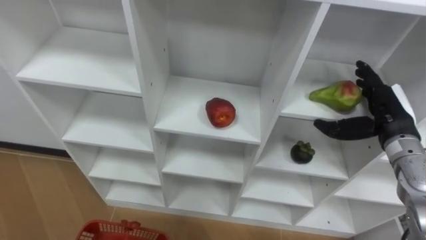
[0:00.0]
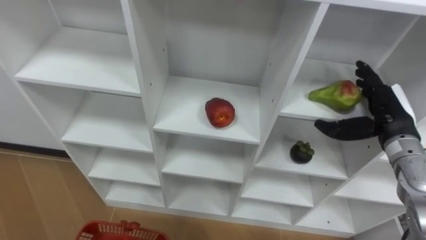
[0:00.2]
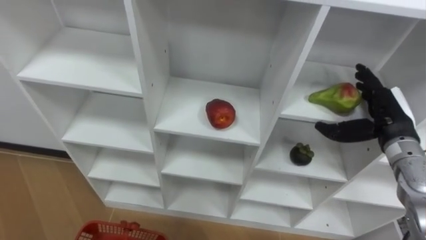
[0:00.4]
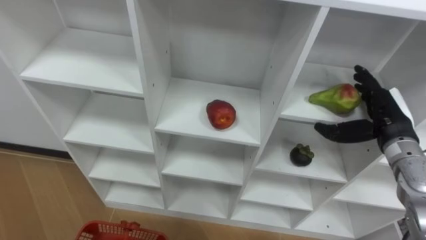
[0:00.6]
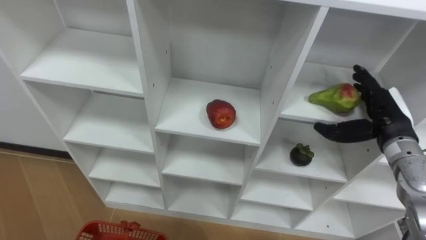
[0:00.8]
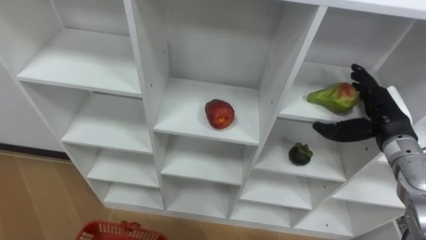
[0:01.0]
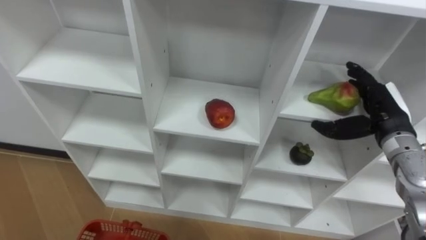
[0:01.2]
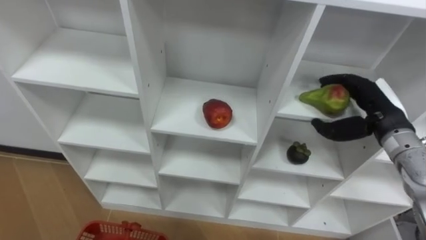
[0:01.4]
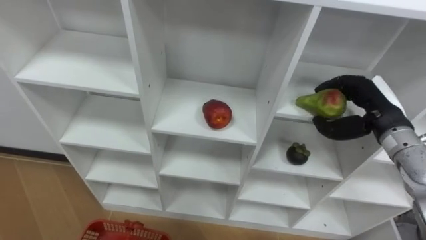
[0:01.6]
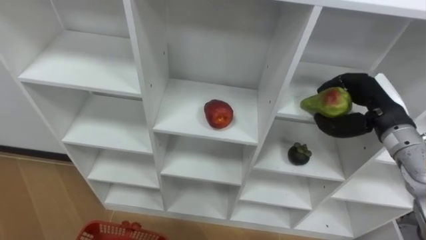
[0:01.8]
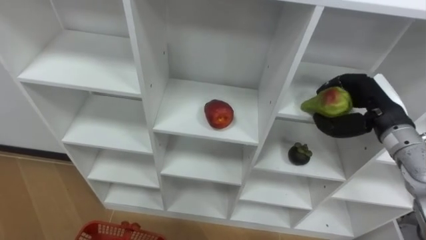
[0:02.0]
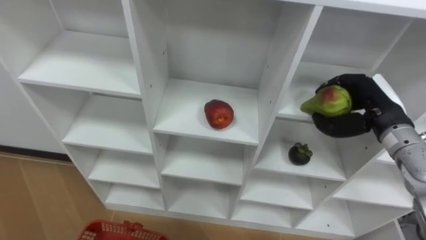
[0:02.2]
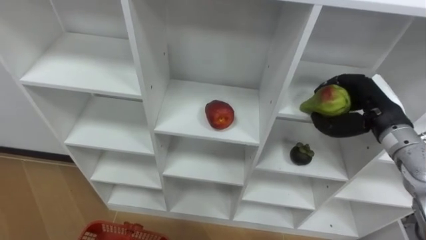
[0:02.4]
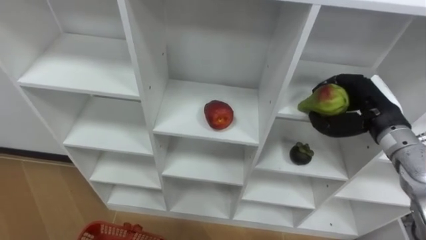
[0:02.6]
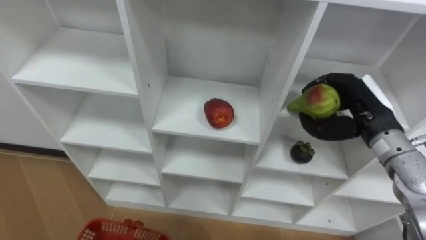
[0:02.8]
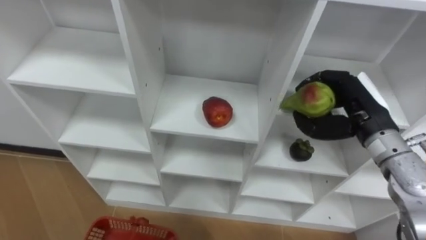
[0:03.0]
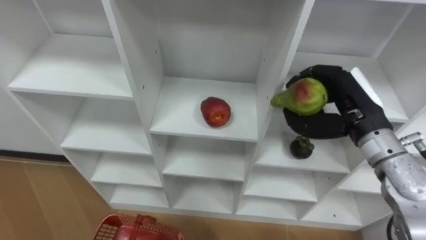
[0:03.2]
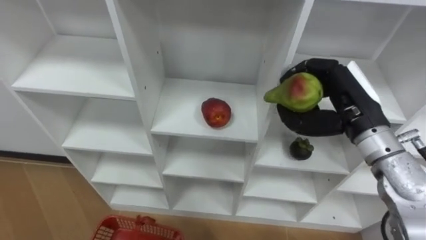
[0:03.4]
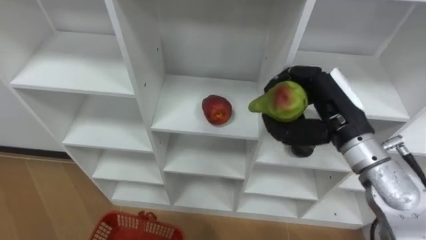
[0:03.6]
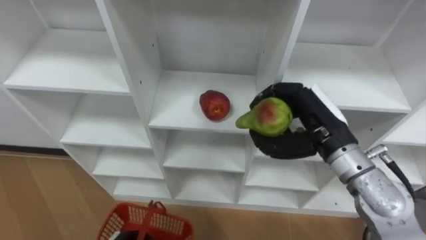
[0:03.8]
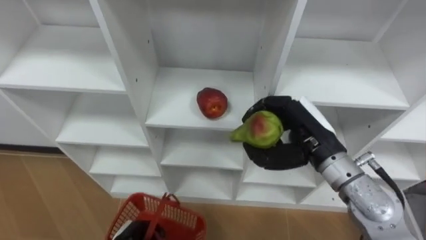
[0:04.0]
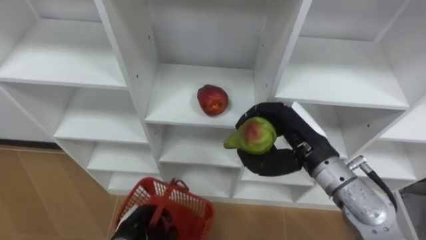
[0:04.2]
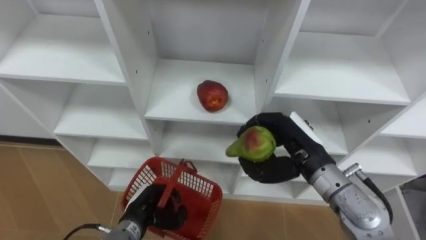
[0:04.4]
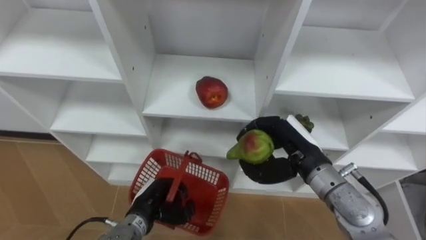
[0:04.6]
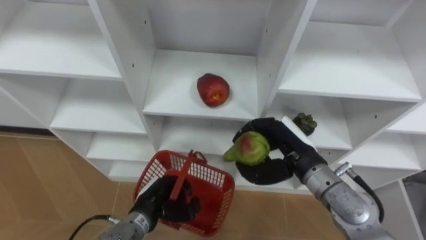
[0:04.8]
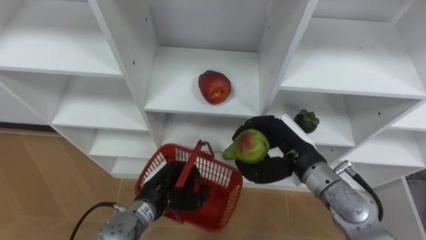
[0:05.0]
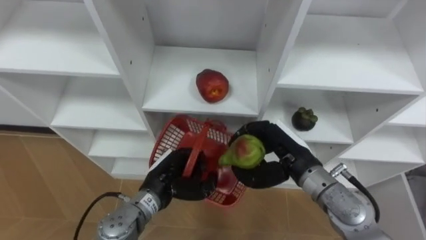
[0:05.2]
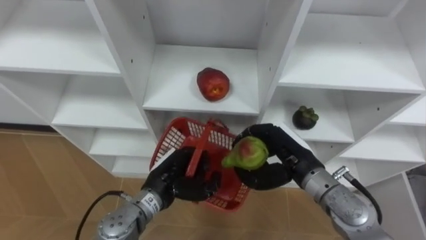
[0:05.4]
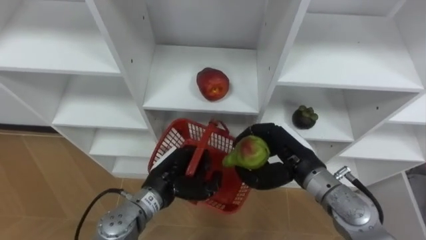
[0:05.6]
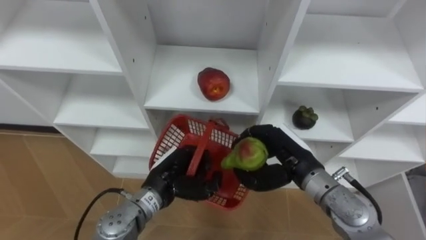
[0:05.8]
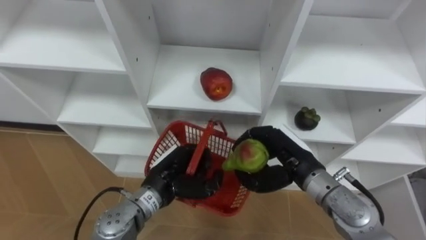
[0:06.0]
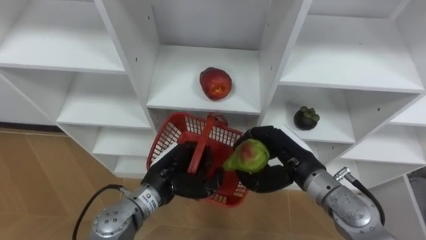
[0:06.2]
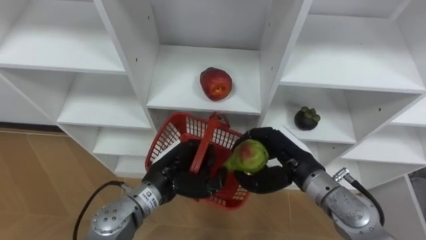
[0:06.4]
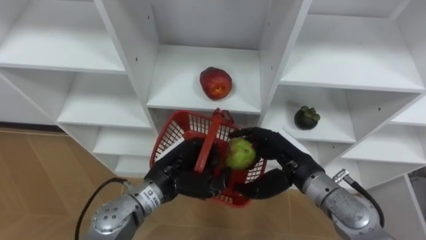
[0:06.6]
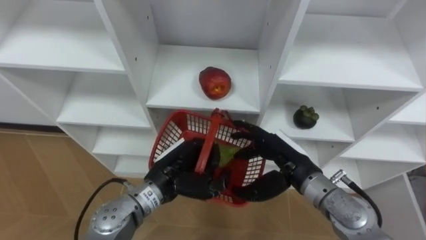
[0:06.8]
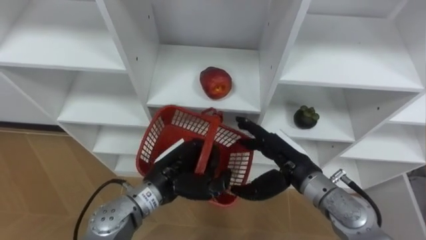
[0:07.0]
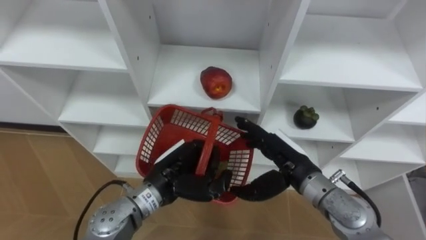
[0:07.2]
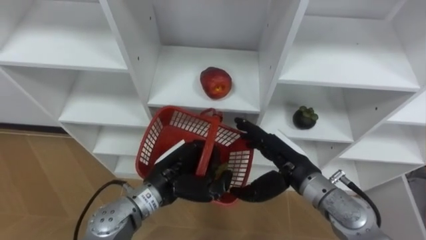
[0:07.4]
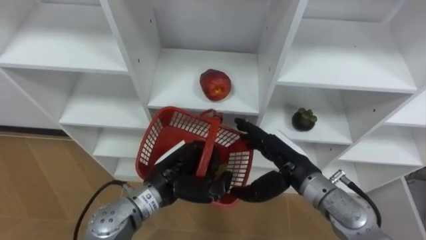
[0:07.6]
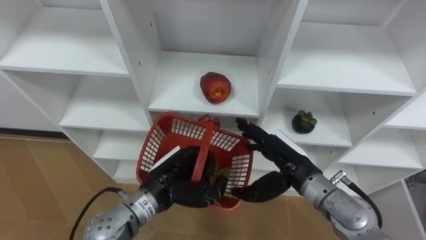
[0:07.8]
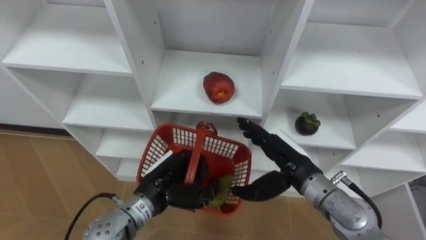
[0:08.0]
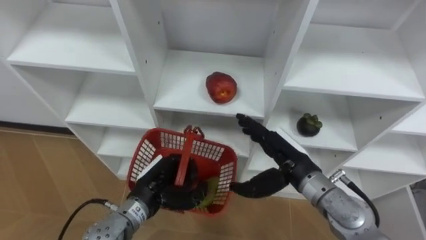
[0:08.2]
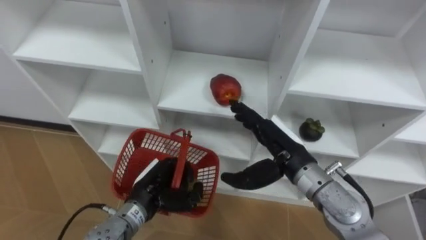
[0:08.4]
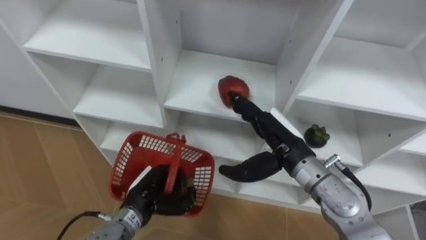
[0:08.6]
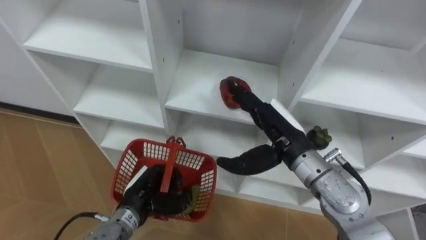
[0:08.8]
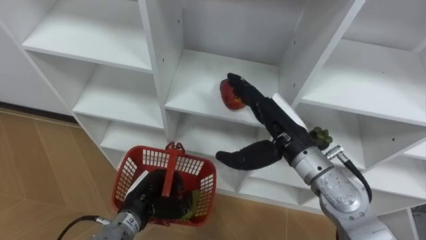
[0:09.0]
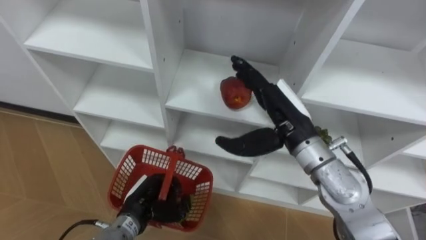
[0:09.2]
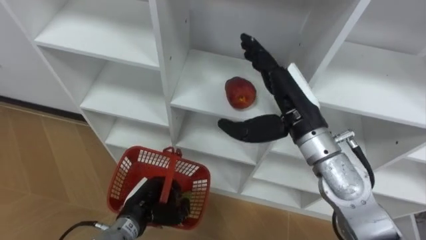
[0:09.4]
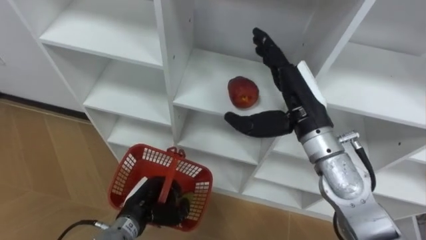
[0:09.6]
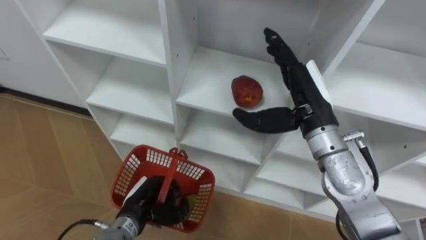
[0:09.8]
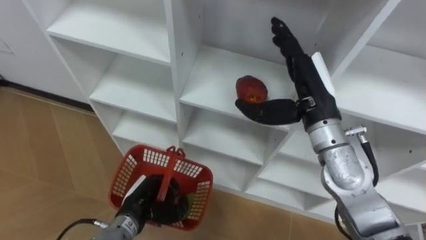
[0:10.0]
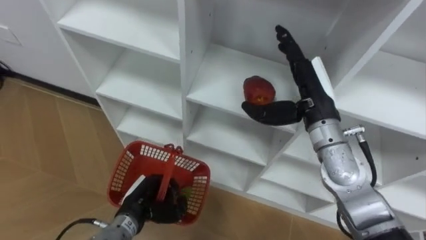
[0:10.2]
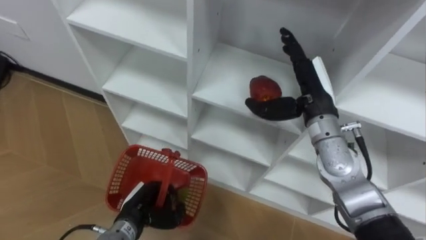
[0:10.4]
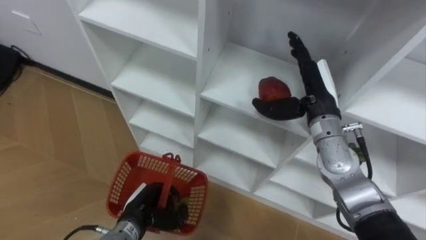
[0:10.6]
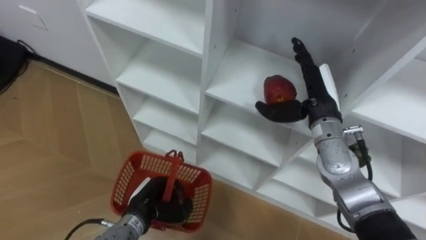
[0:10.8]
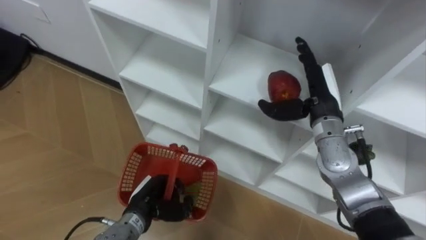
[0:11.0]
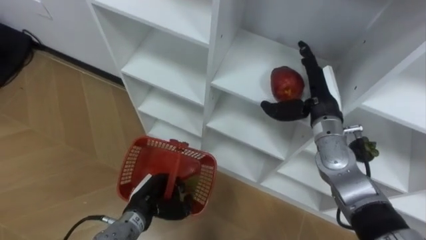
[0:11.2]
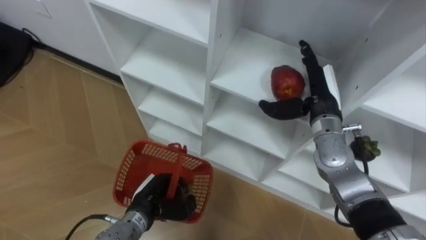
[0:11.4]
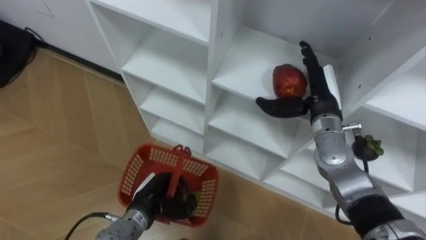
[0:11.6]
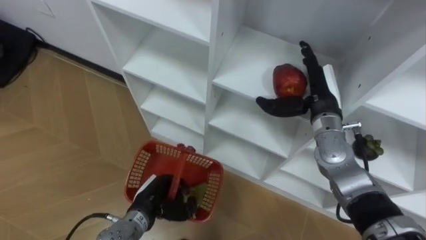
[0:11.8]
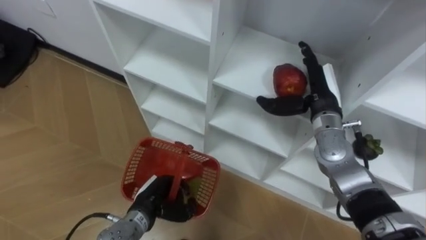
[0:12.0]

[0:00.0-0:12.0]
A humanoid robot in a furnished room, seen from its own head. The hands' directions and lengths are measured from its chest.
Task of the whole recording: Hold the basket and collect the fruits from 3 different cells of the closet into it.
0:00.0 to 0:01.6: The right hand closes its fingers.
0:01.6 to 0:03.0: The right hand changes place by some 5 cm.
0:03.0 to 0:04.4: The right hand heads to the left, covering approximately 10 cm.
0:04.4 to 0:06.0: The left hand shifts roughly 10 cm upward and to the right.
0:06.0 to 0:07.6: The right hand opens its fingers.
0:07.6 to 0:09.0: The right hand shifts about 5 cm upward. The left hand shifts approximately 10 cm downward and to the left.
0:09.0 to 0:10.4: The right hand moves forward and to the right, roughly 10 cm.
0:10.4 to 0:12.0: The right hand shifts by roughly 5 cm.

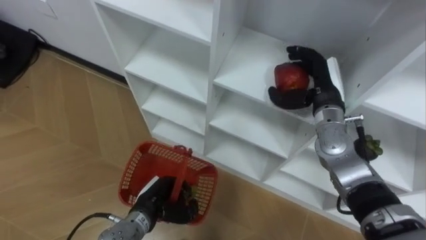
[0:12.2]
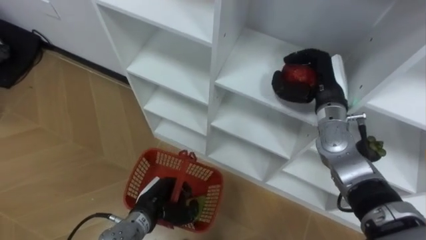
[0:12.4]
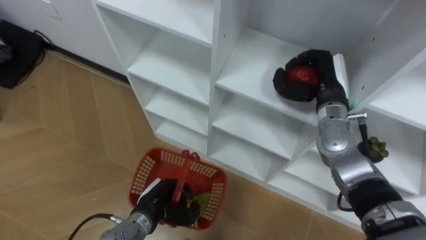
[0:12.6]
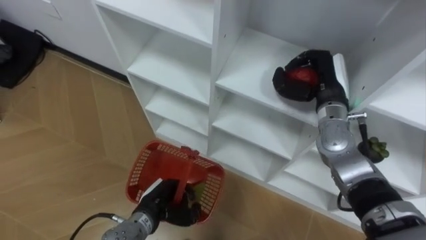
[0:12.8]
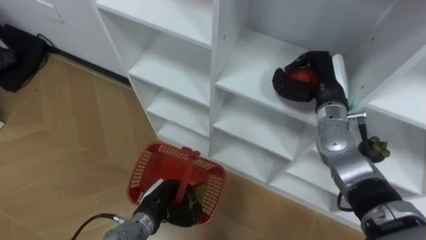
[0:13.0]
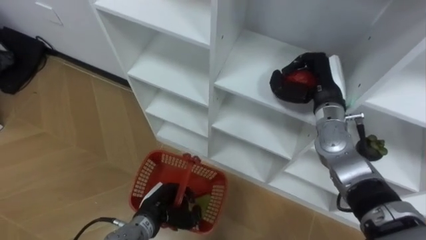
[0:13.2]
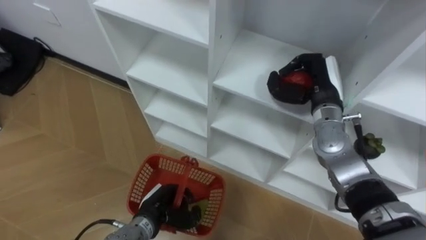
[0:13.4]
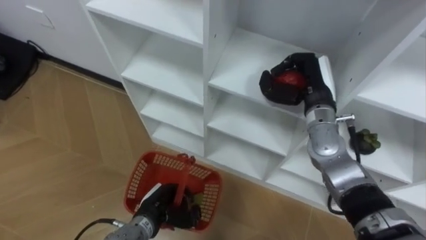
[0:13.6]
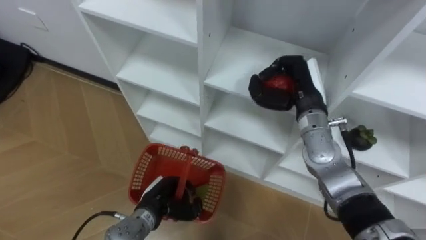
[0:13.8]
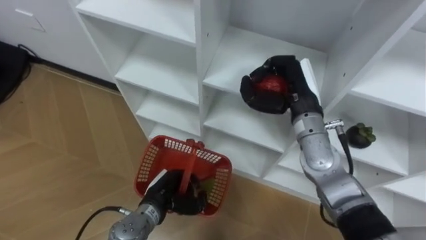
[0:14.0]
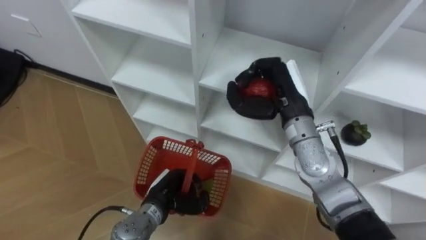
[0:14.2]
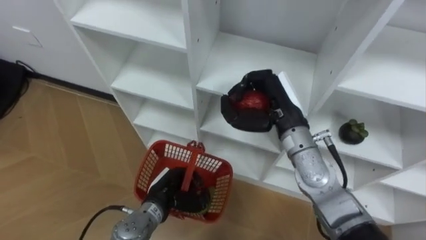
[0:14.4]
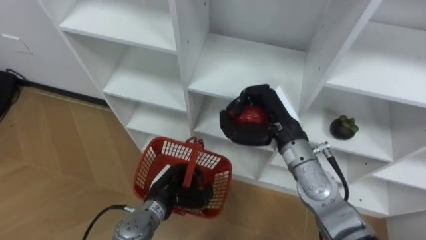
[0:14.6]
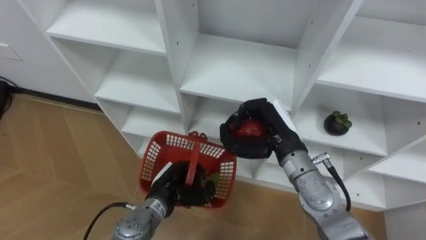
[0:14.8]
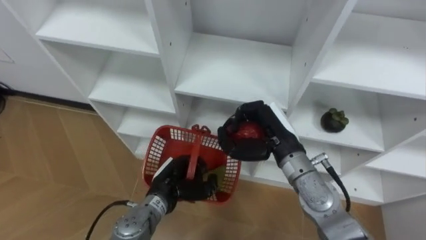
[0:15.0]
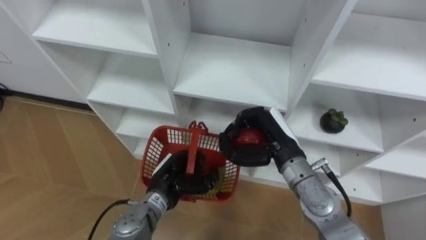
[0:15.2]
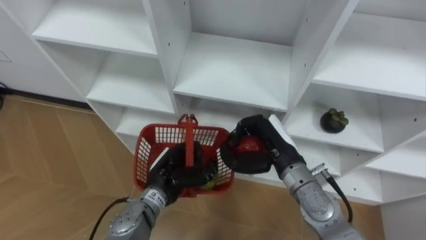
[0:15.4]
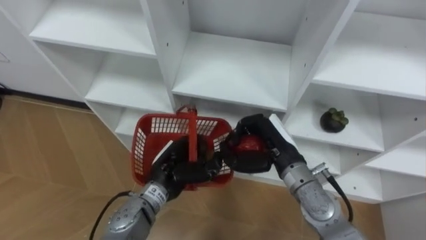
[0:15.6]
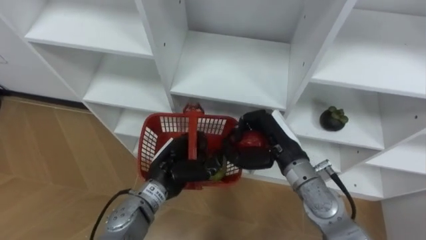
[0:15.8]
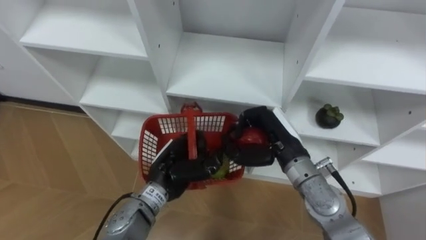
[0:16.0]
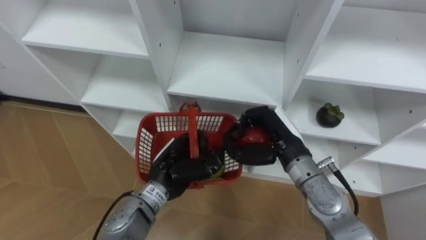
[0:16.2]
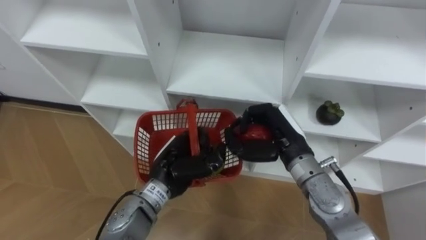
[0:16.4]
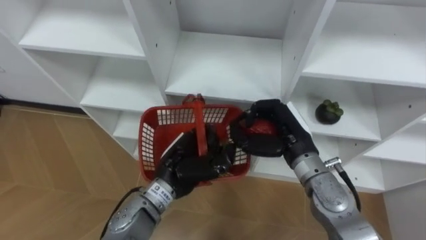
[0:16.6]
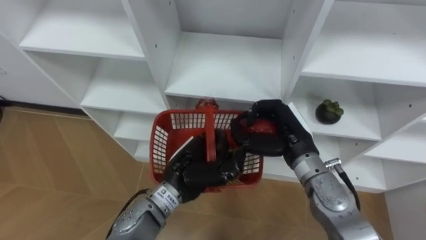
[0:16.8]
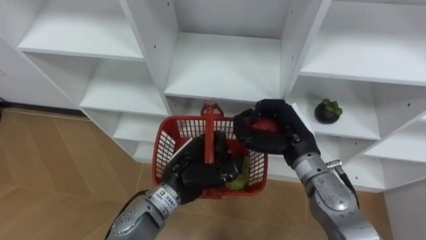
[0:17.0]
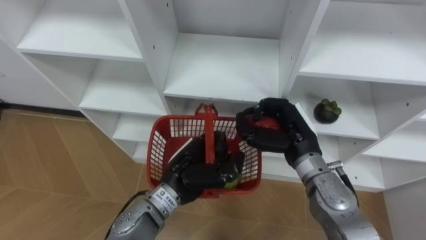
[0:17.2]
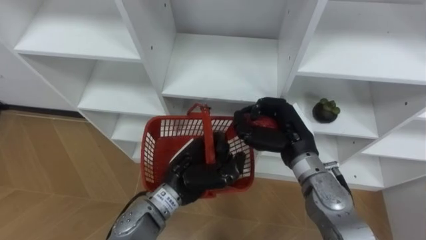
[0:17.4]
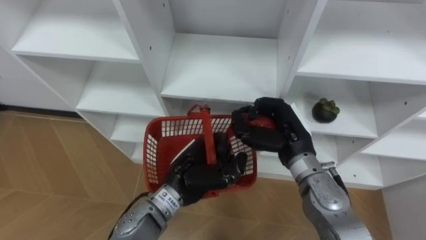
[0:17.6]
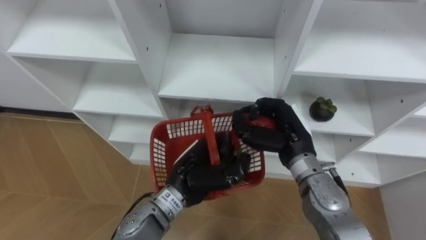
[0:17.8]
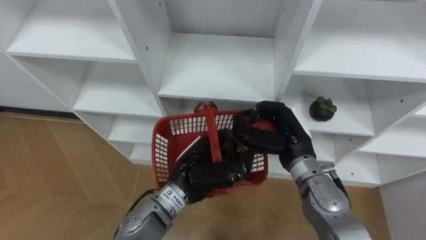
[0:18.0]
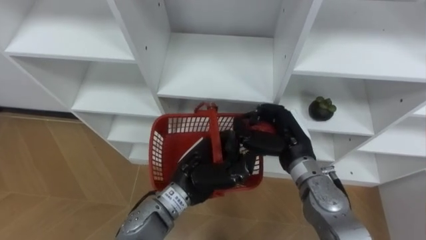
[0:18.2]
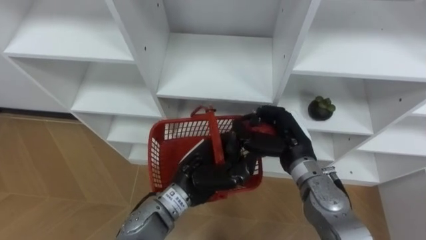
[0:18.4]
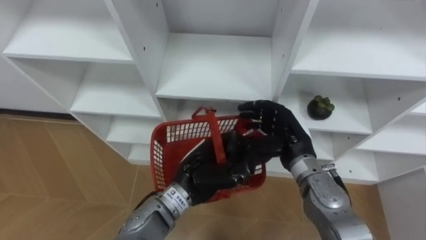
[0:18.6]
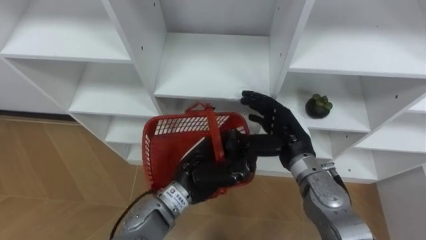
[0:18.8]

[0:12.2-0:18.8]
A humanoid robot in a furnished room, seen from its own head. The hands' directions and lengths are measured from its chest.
Task of the whole recording: Hold the basket and collect the fruits from 3 different cells of the closet into it.
0:12.2 to 0:13.8: The right hand closes its fingers.
0:13.8 to 0:15.4: The right hand moves backward, downward and to the left, roughly 10 cm. Meanwhile the left hand heads upward, covering about 5 cm.
0:15.4 to 0:17.2: The left hand moves upward, approximately 5 cm.
0:17.2 to 0:18.8: The right hand opens its fingers.
